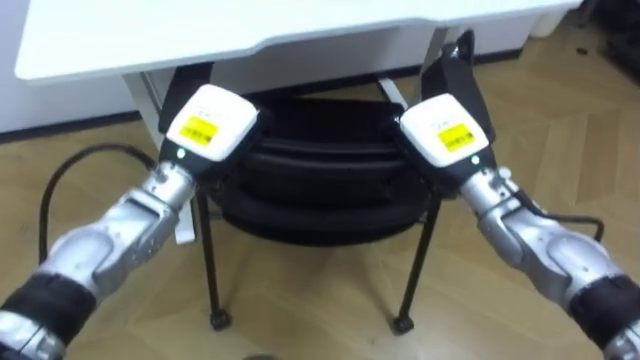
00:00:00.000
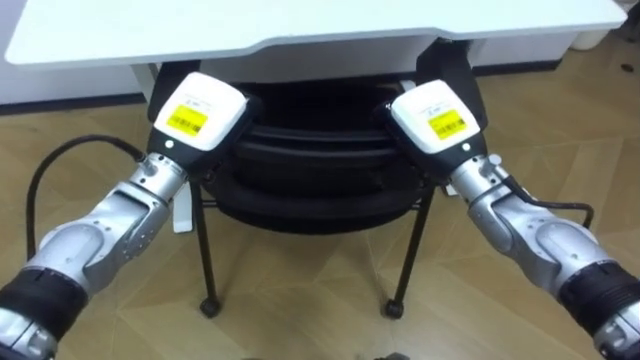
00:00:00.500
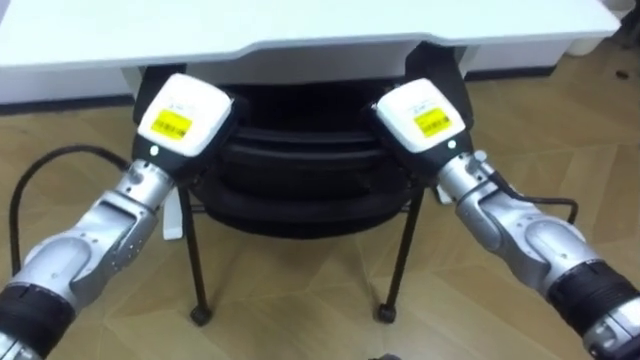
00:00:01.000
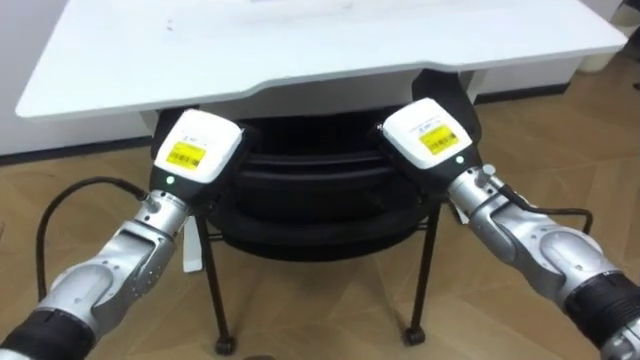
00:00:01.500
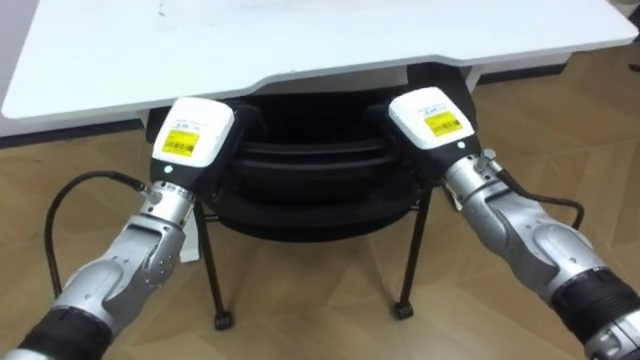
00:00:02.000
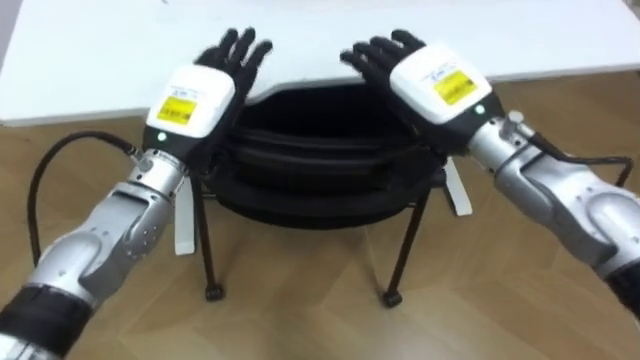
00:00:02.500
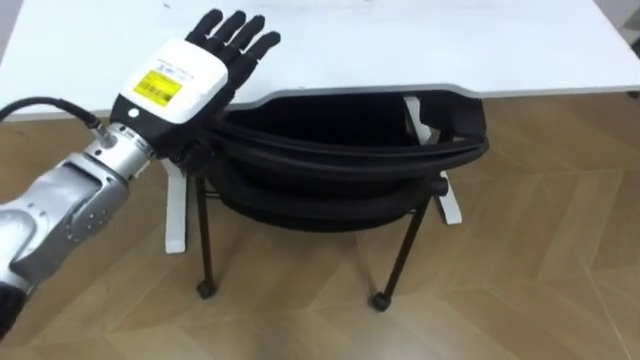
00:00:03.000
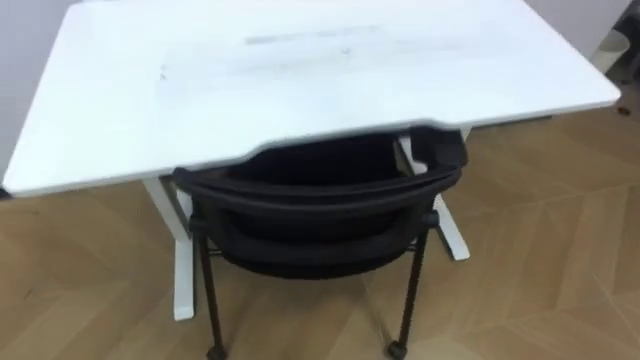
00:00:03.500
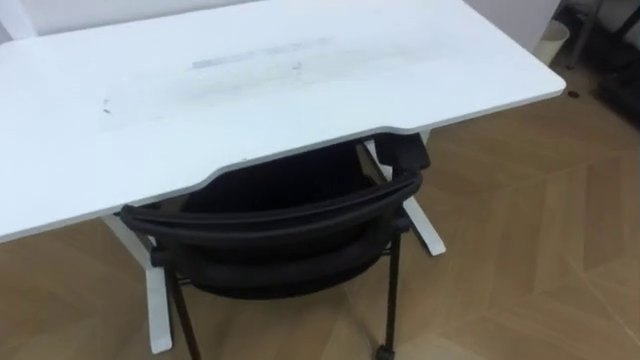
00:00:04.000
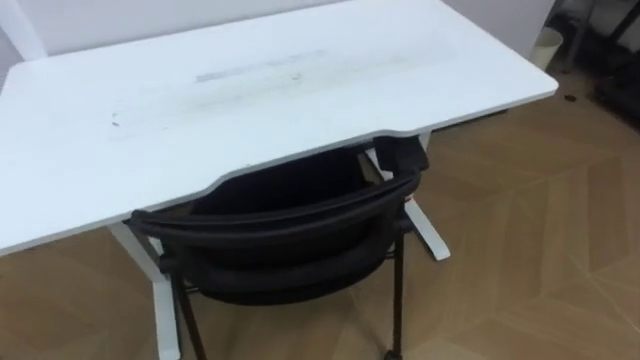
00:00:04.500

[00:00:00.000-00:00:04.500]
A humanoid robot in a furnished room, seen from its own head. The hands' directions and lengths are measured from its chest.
Task of the whole recording: Push the chair under the table.
00:00:00.000 to 00:00:02.000: The right hand opens up.

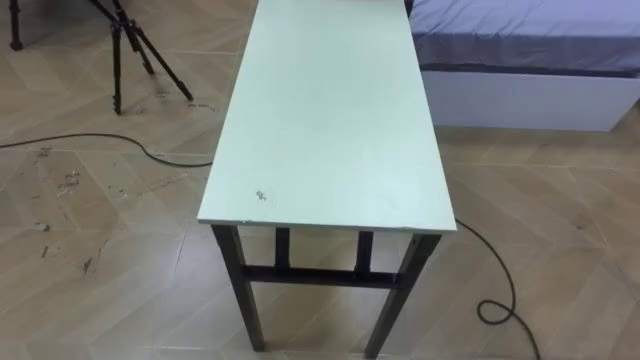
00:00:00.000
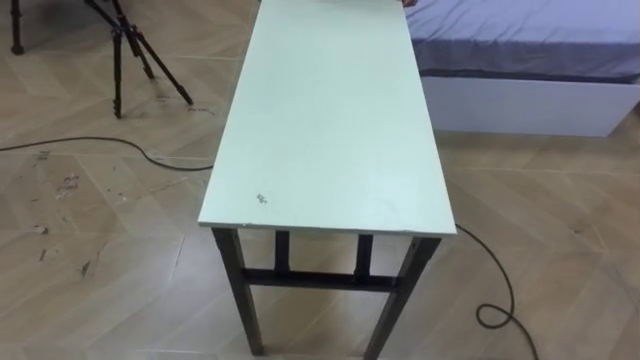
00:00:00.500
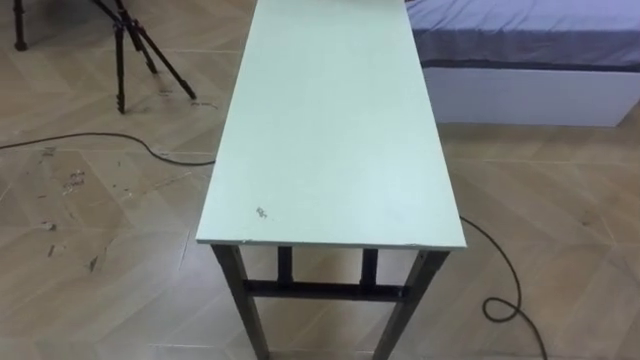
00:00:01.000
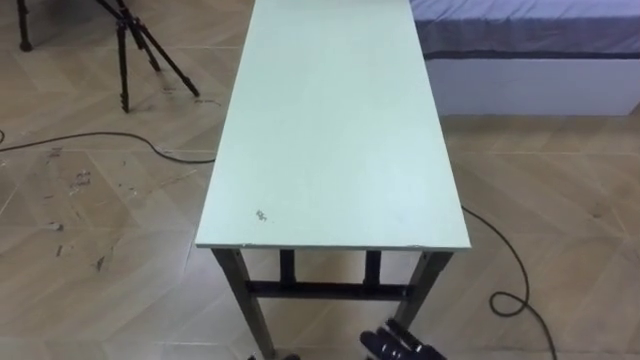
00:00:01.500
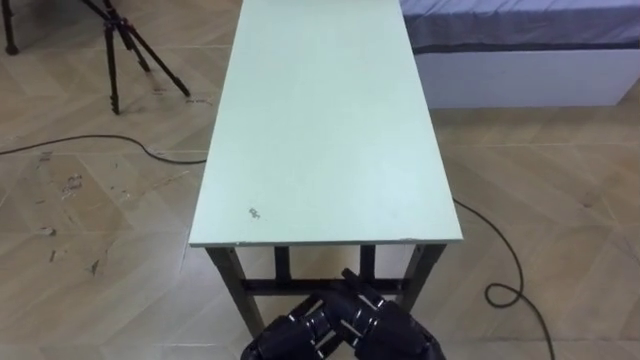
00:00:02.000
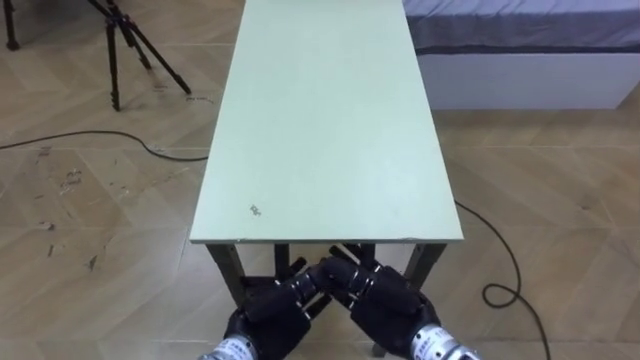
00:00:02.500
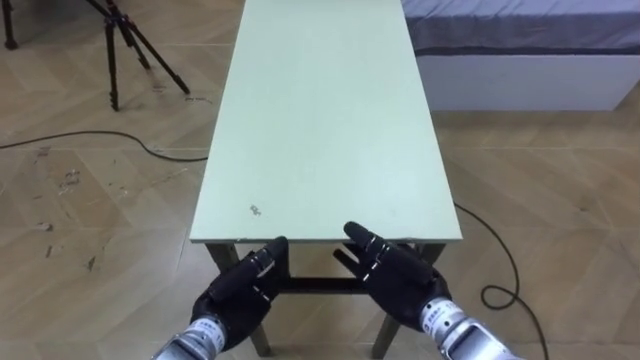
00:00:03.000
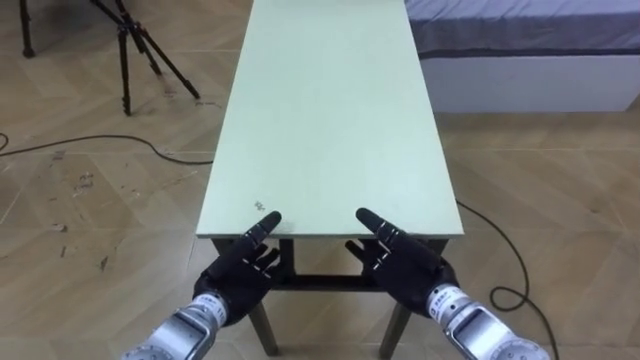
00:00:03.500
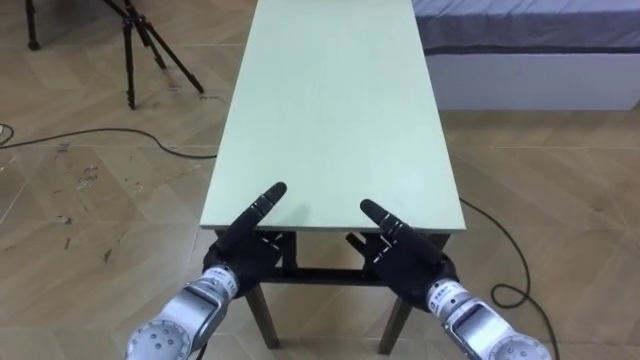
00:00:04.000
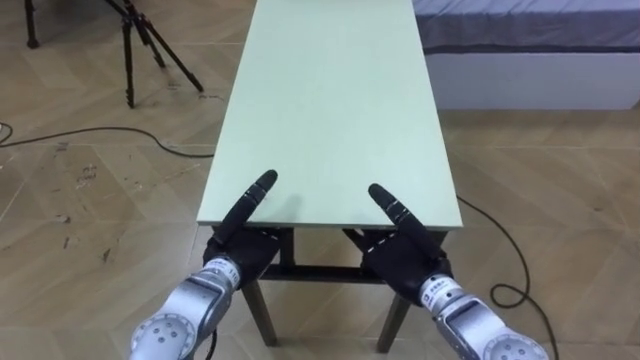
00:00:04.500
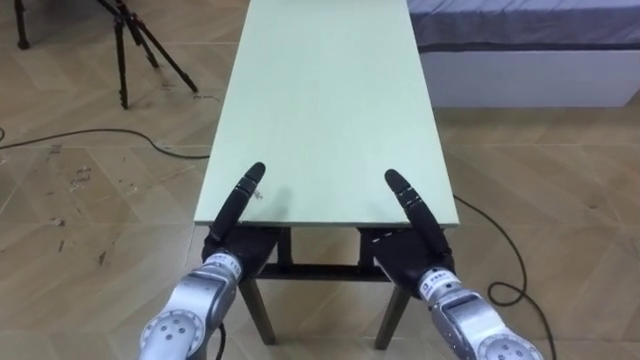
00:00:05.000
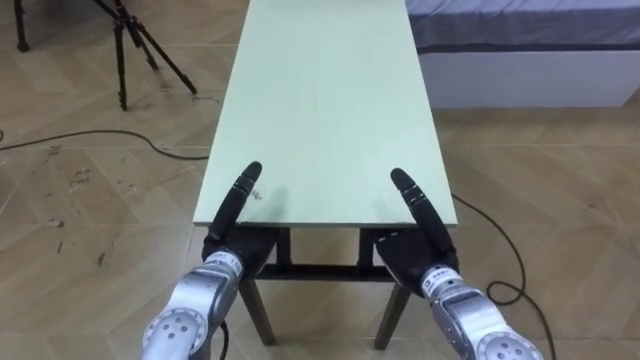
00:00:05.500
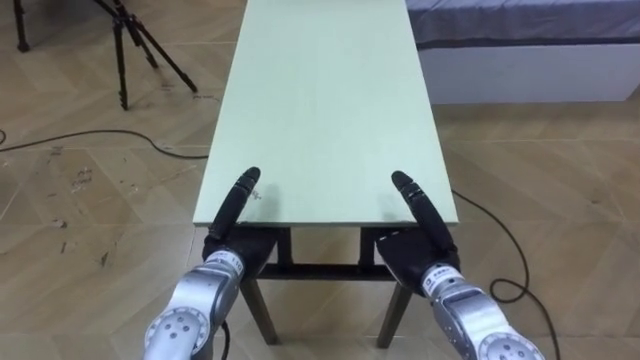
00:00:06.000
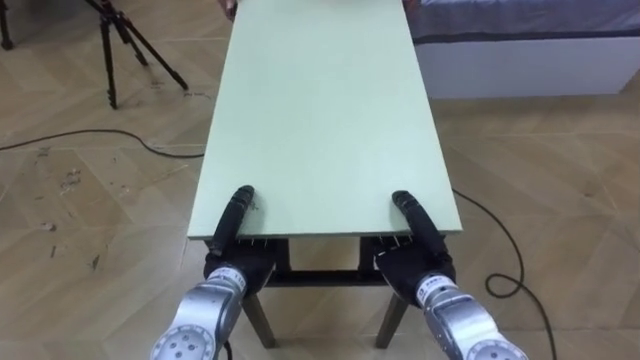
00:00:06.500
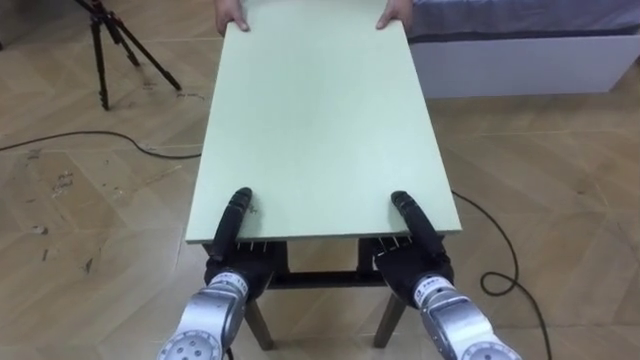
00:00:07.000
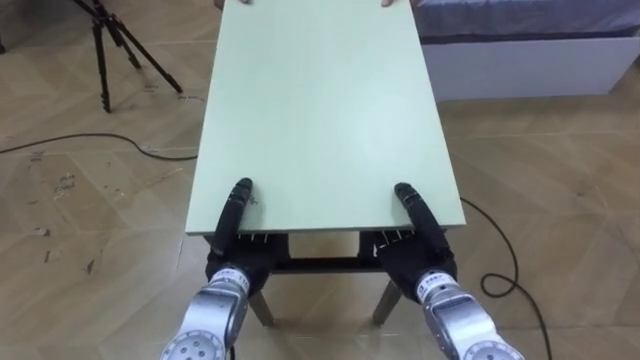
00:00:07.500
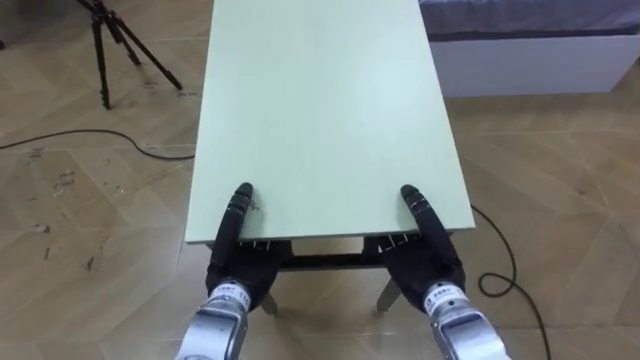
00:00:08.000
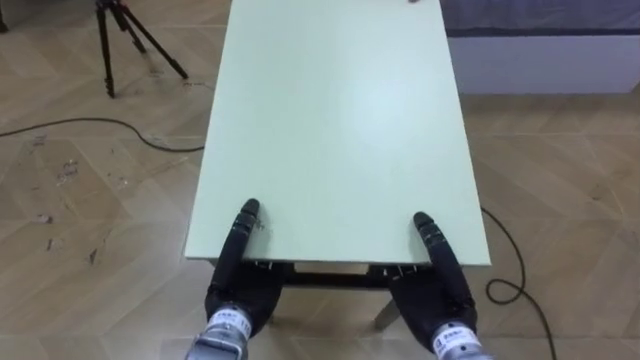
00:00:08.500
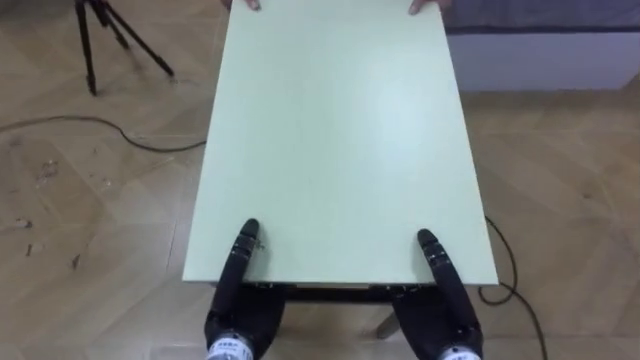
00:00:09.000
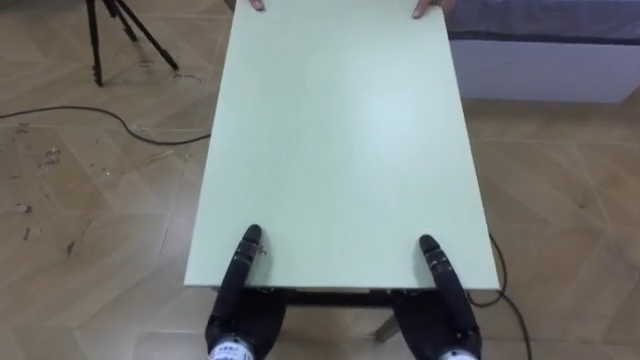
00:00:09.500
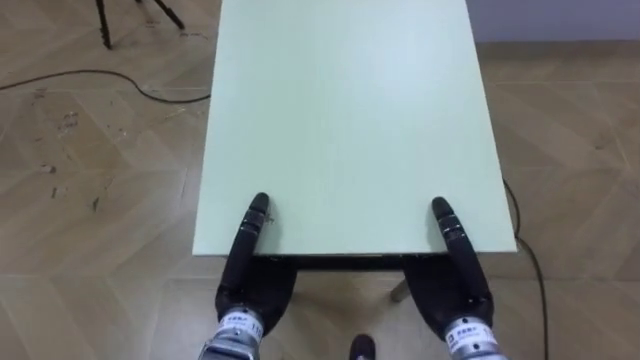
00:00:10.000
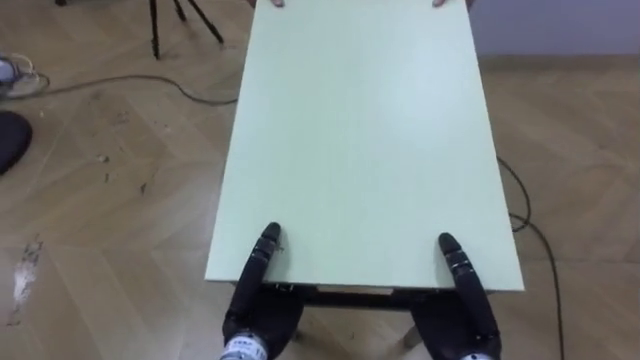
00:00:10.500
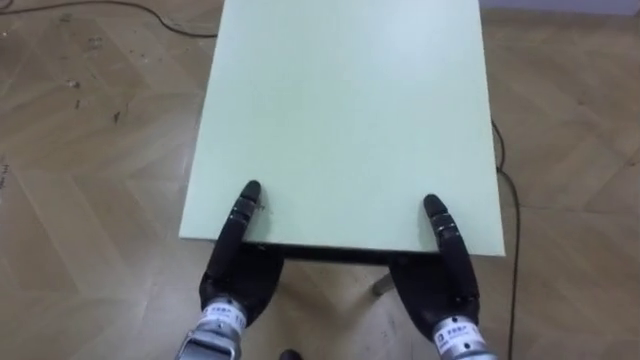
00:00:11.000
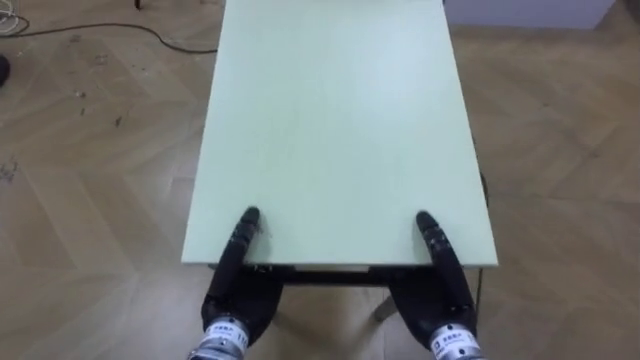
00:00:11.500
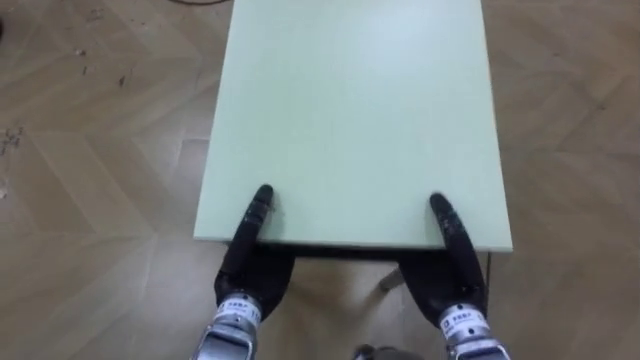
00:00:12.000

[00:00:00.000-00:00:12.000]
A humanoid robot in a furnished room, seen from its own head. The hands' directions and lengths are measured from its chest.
Task of the whole recording: Move the table to the back left with someone.
00:00:02.000 to 00:00:04.000: The right hand is displaced forward by about 10 cm; the left hand goes roughly 15 cm forward and to the left.
00:00:06.000 to 00:00:08.000: The left hand closes up.

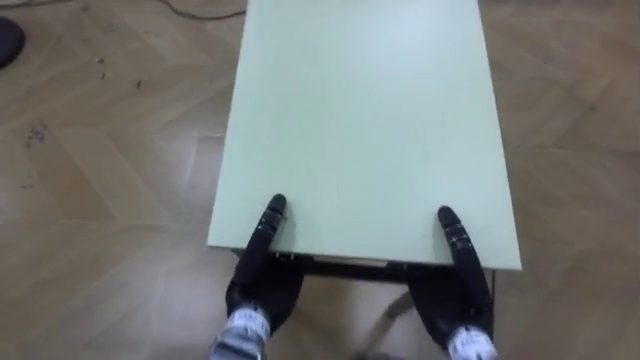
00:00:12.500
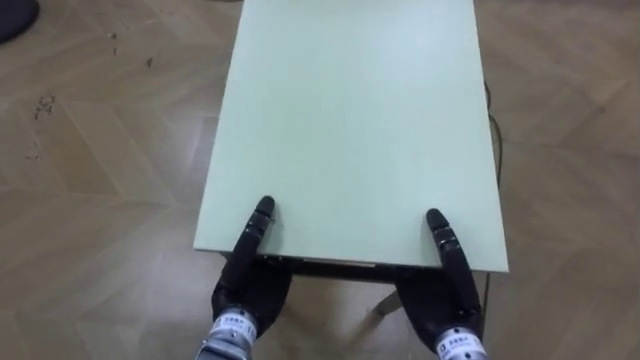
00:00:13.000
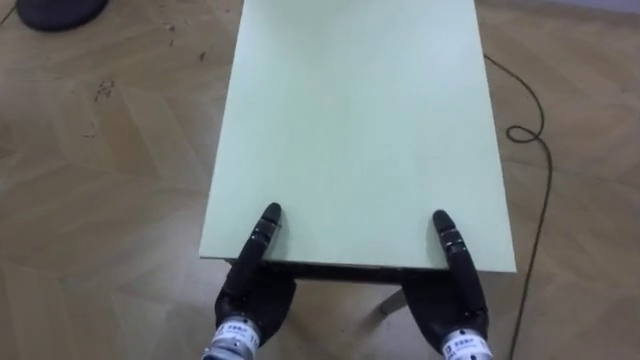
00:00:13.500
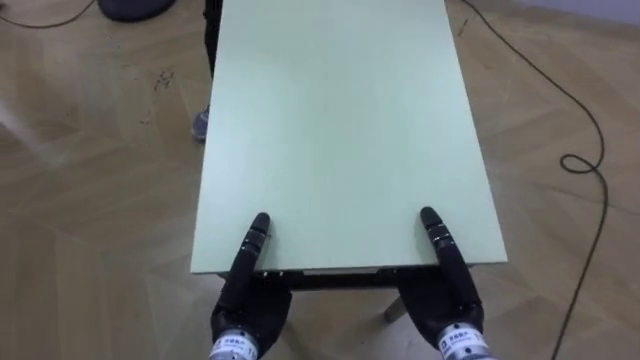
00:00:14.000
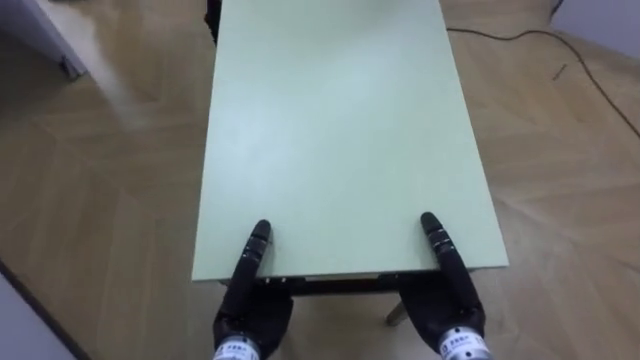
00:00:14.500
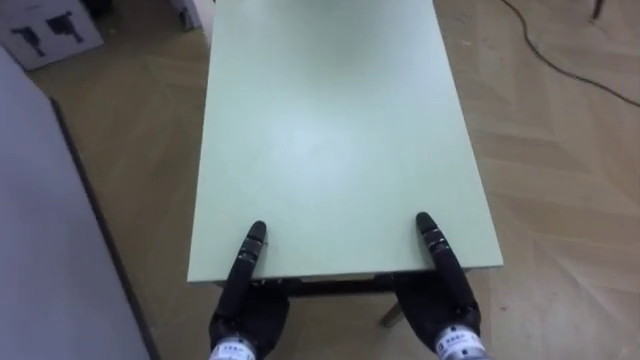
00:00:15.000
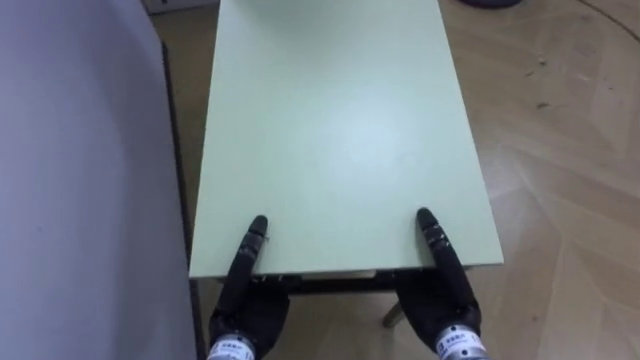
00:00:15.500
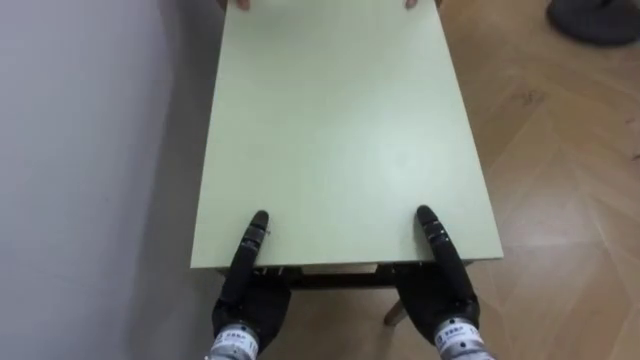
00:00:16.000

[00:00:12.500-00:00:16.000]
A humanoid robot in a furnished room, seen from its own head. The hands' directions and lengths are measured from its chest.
Task of the whole recording: Move the table to the back left with someone.
00:00:12.500 to 00:00:14.500: The robot rotates roughly 30 degrees to its left.
00:00:14.500 to 00:00:16.000: The robot's body swings roughly 50 degrees to its left.
